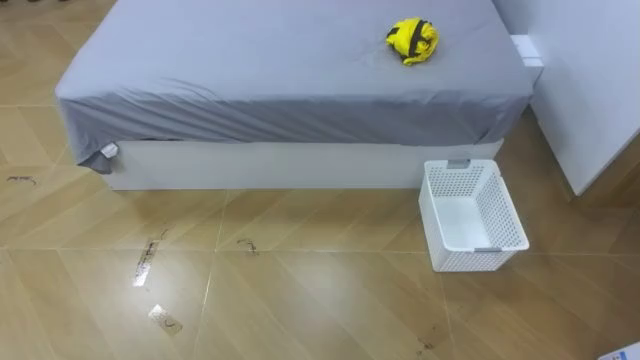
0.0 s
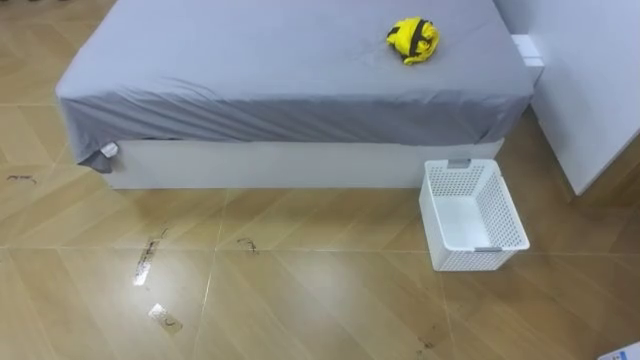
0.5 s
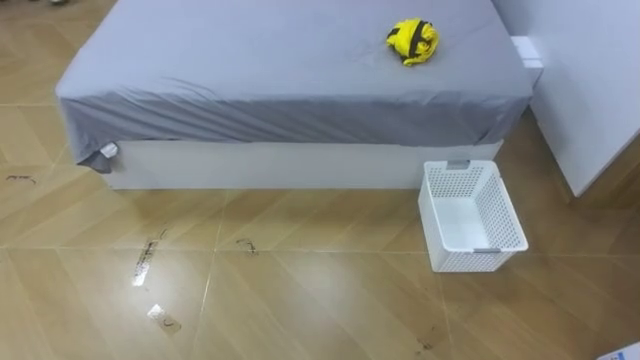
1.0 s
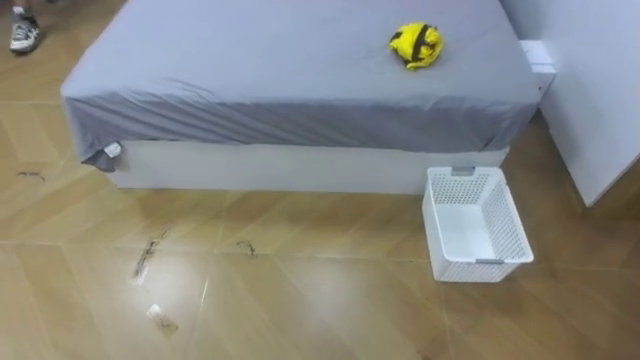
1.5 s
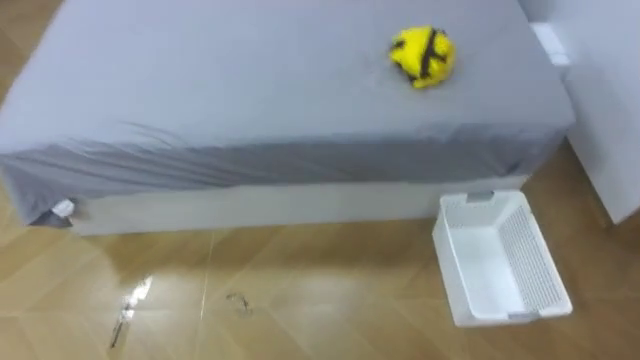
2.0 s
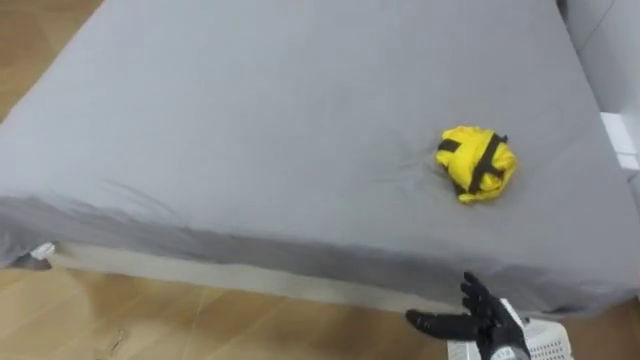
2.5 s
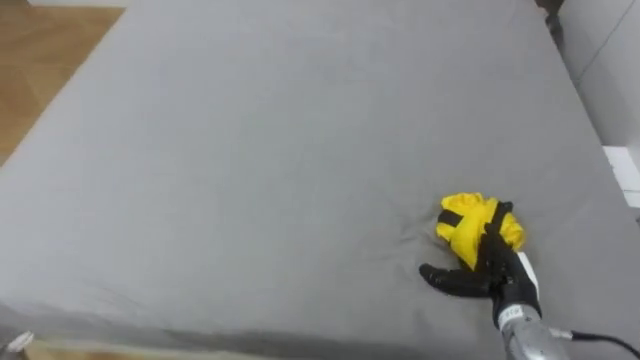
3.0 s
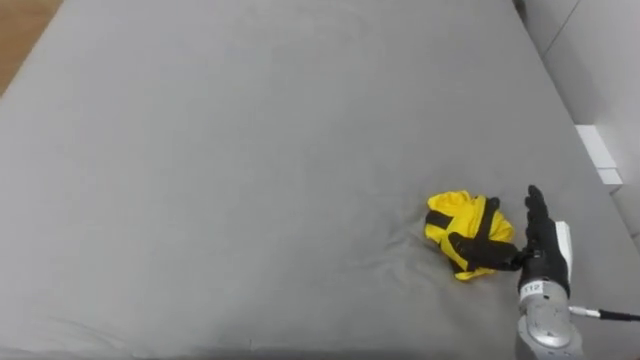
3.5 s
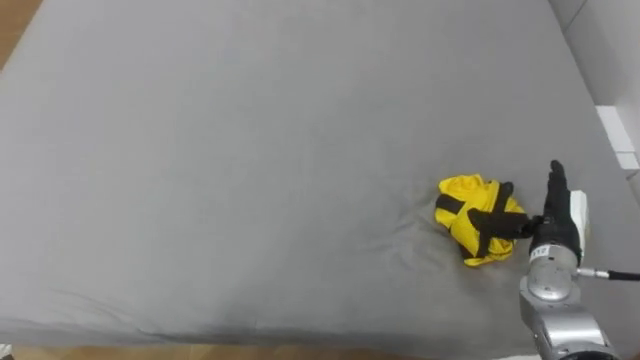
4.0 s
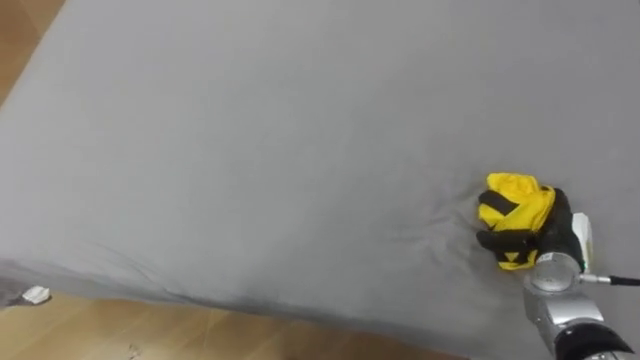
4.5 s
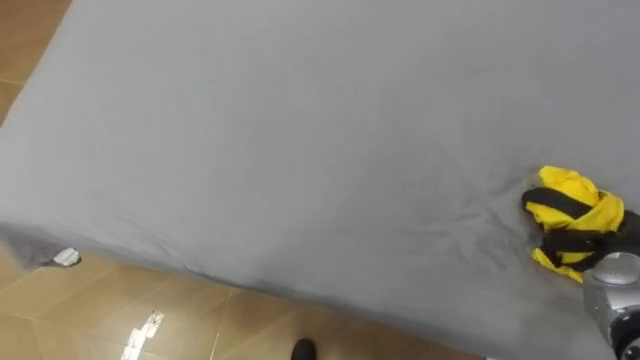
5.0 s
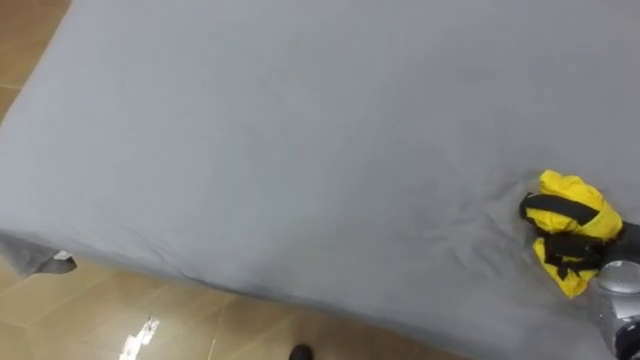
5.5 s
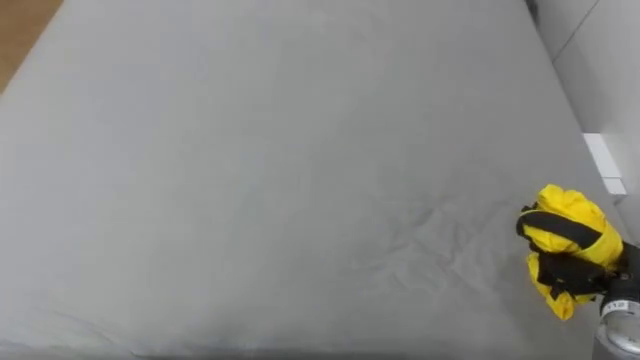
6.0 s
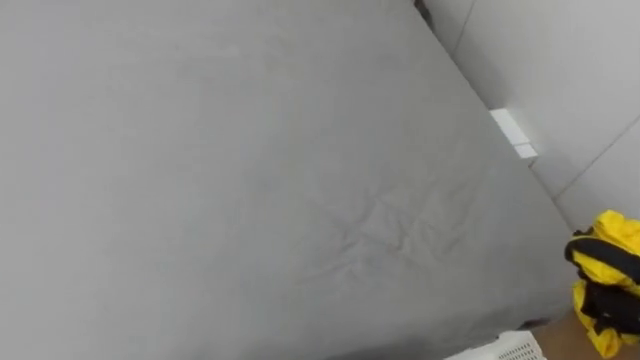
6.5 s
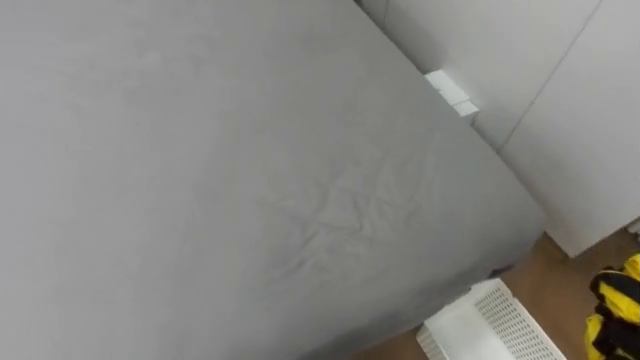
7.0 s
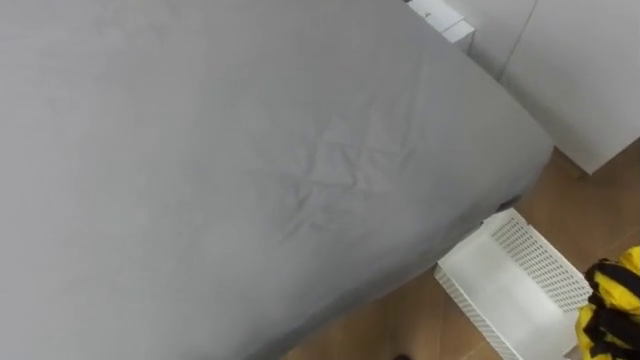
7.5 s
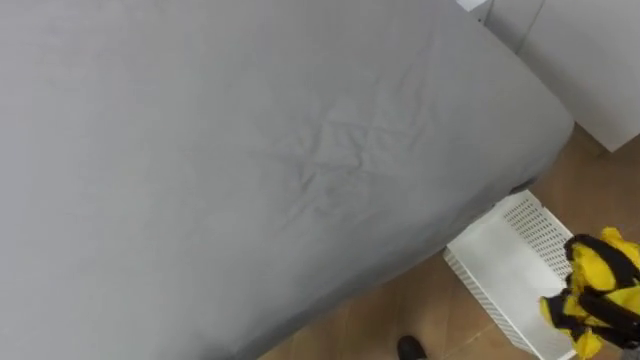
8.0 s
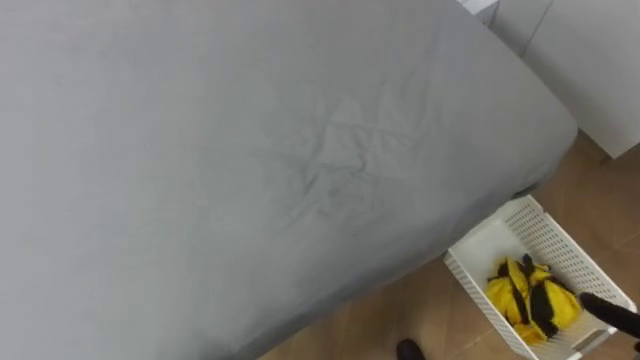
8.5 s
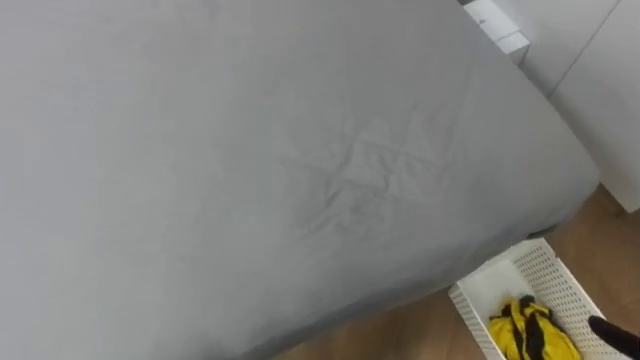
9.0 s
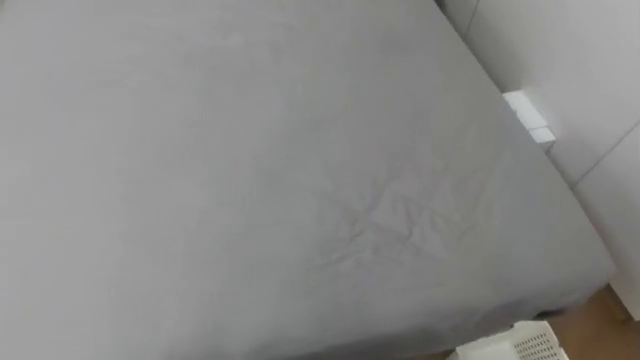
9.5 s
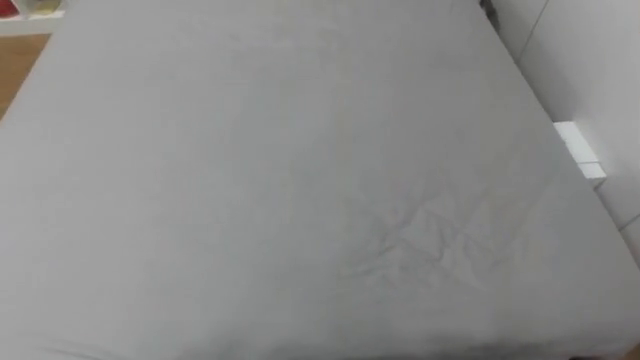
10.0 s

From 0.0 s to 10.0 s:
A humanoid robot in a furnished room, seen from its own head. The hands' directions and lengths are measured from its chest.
Task of the whole recording: Pick up the yellow clothes on the bed and place them into the white basket on the right.
From 4.0 s to 6.0 s: The right hand shifts about 10 cm to the right and backward, and closes its fingers.
From 8.0 s to 10.0 s: The robot turns to its left by roughly 20 degrees.

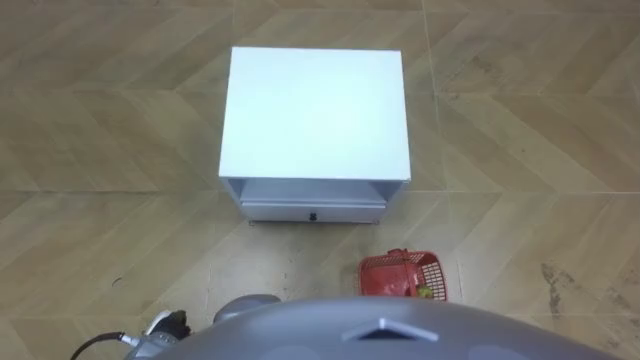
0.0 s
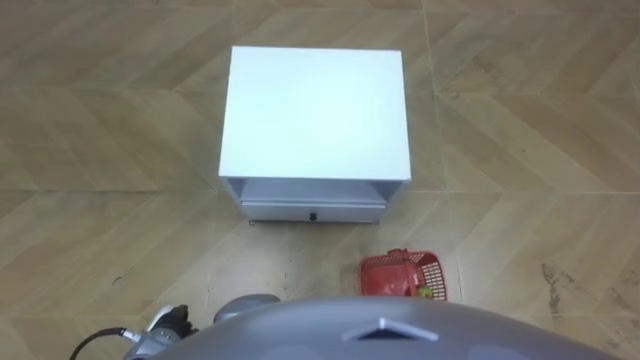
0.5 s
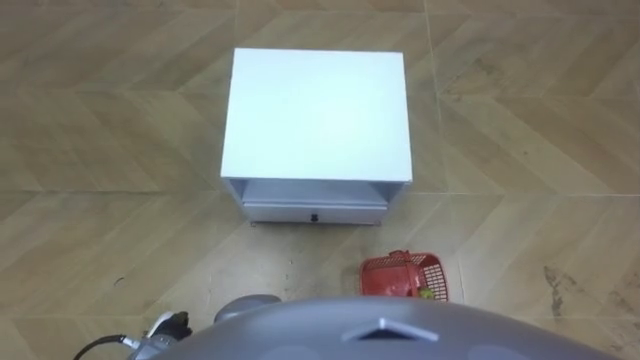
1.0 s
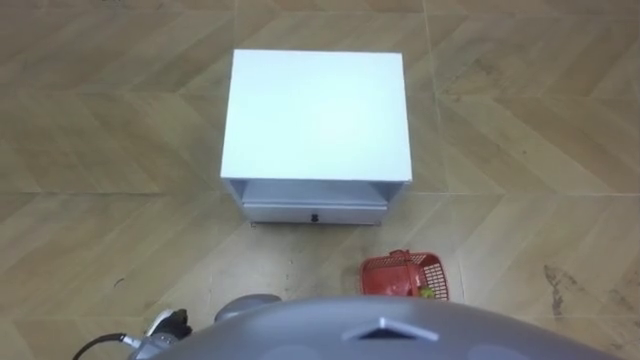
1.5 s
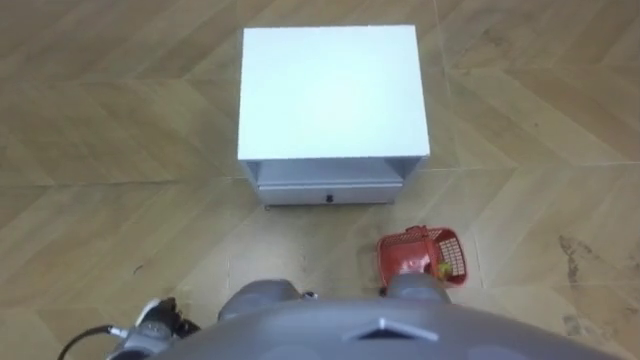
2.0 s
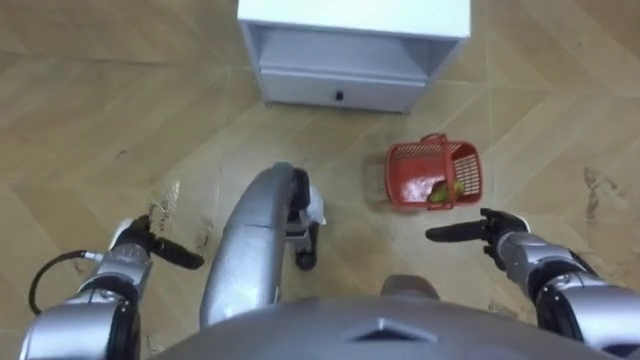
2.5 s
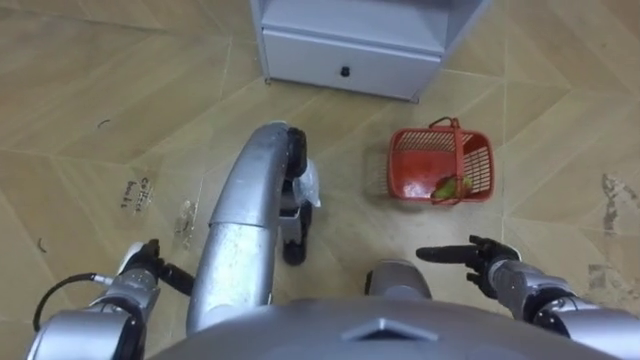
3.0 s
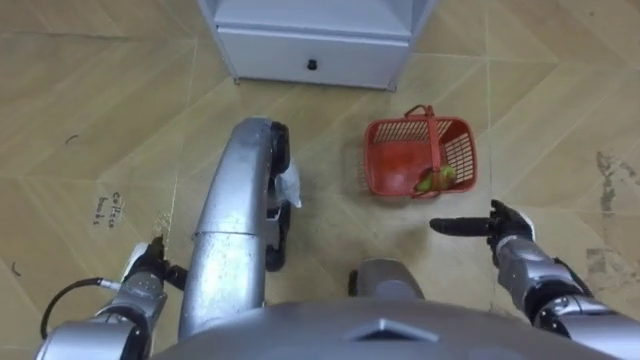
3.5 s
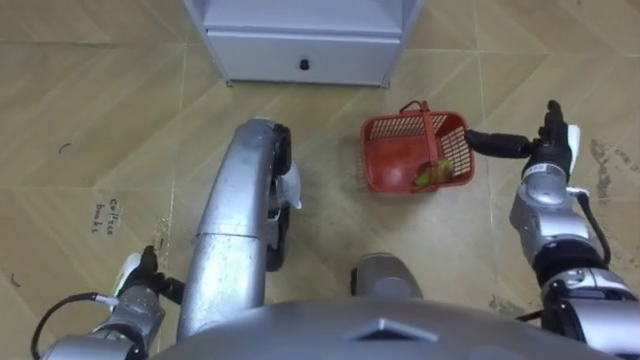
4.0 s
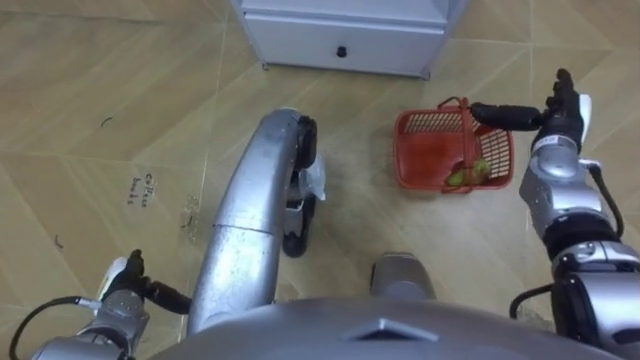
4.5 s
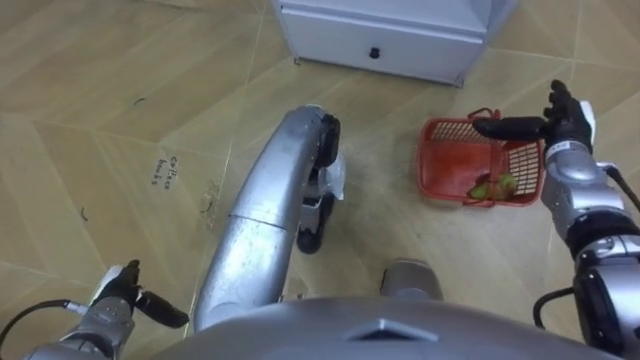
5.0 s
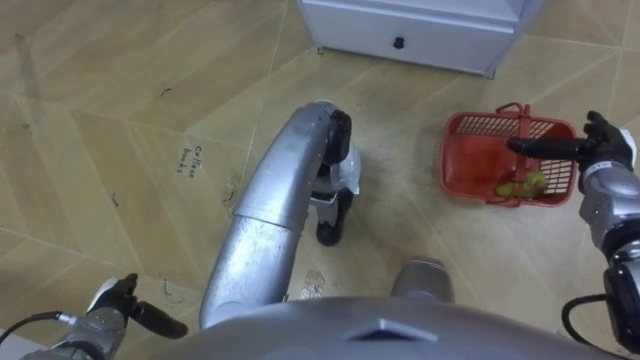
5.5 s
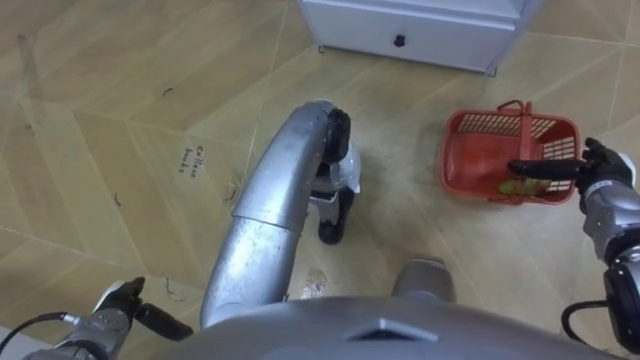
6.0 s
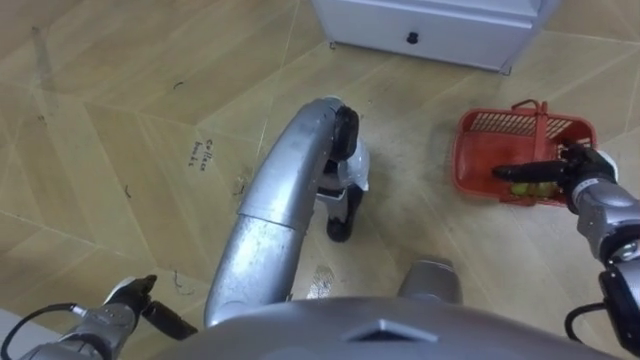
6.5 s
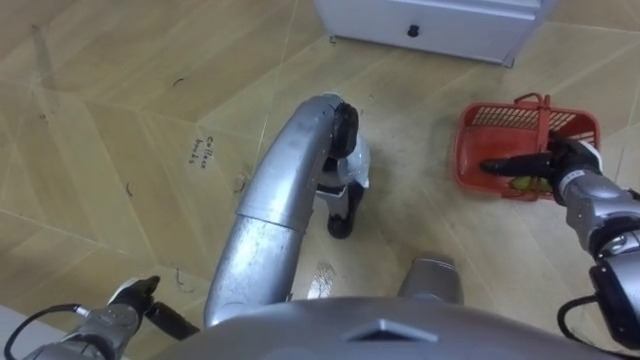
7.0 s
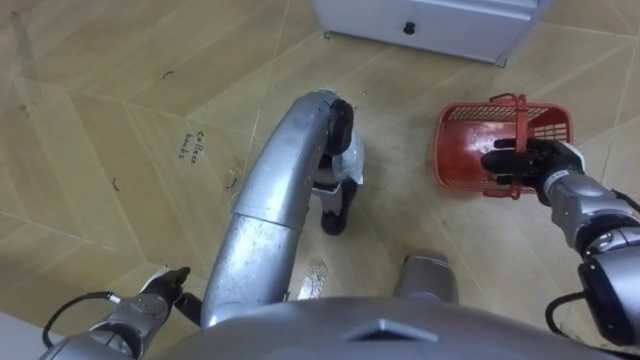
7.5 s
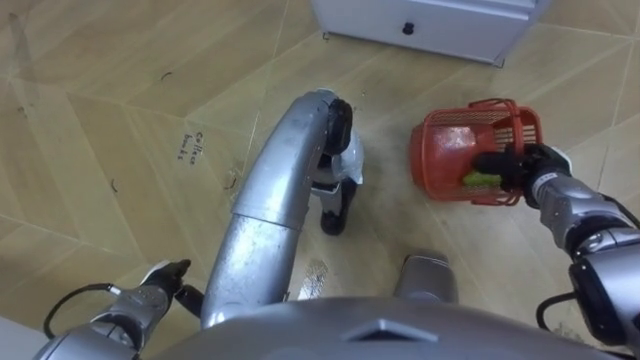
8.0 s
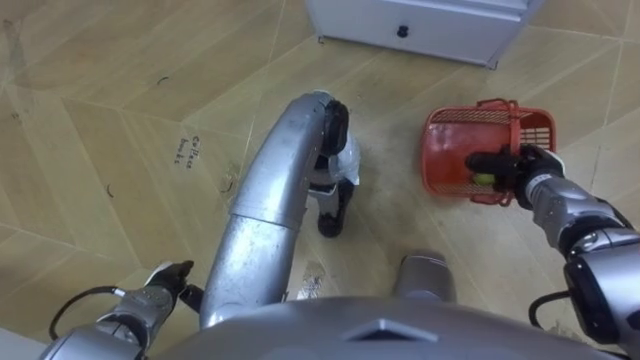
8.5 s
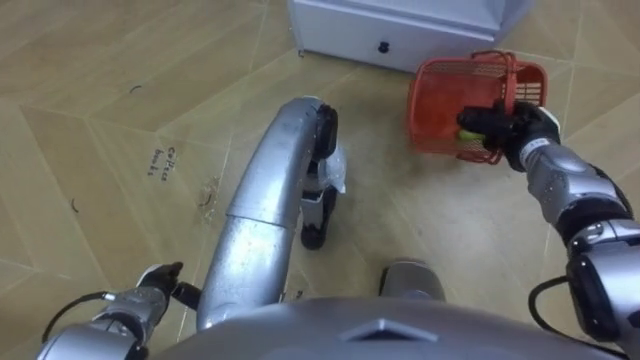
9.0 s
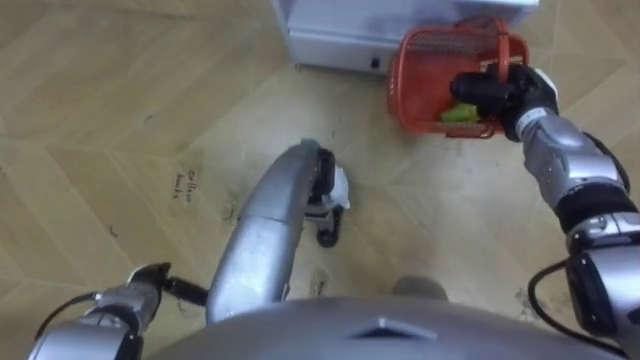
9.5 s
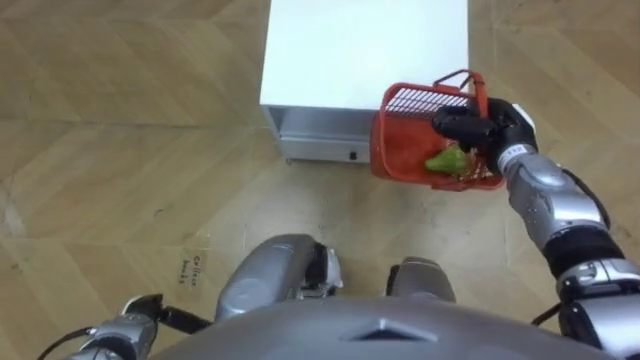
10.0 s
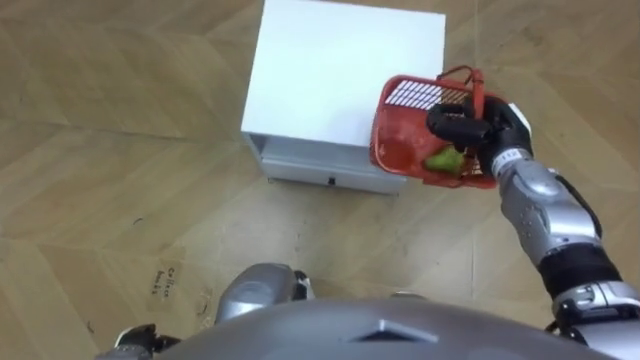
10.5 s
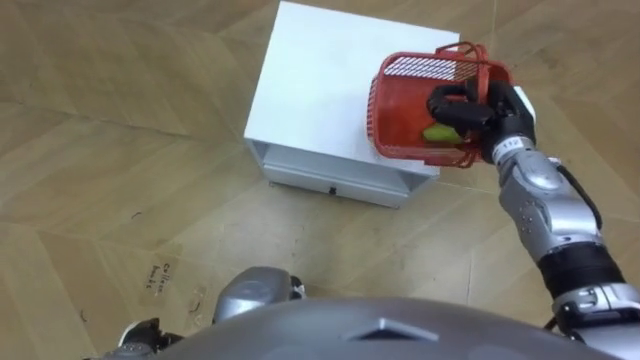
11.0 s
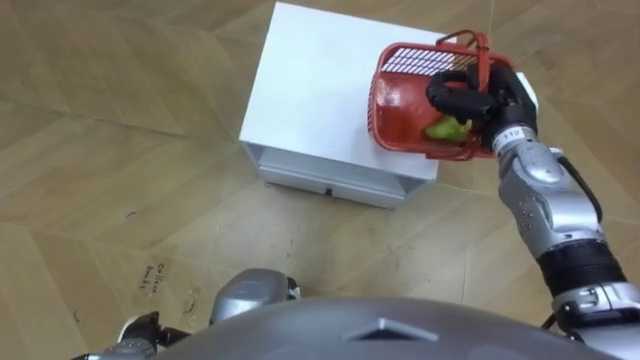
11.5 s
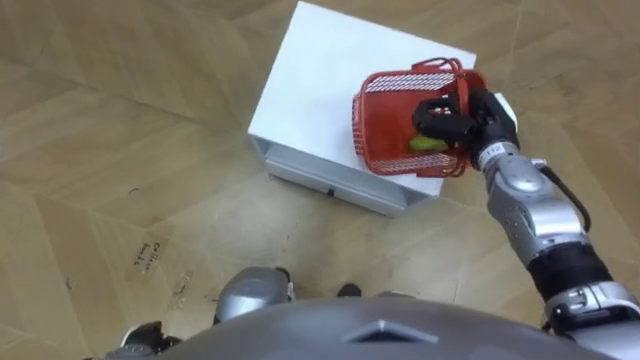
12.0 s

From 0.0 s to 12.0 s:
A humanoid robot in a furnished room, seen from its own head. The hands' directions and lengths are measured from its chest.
Task of the whole recording: Pick up the fruit basket from the floor and place it on the cabinet.
From 2.0 s to 4.0 s: The right hand shifts approximately 30 cm forward and upward. The left hand travels forward by roughly 5 cm.
From 4.0 s to 6.0 s: The right hand moves to the right, approximately 5 cm.
From 6.0 s to 8.0 s: The right hand shifts some 5 cm to the left, and closes its fingers, while the left hand is displaced to the right by about 5 cm.
From 8.0 s to 10.0 s: The right hand moves to the left, roughly 5 cm.
